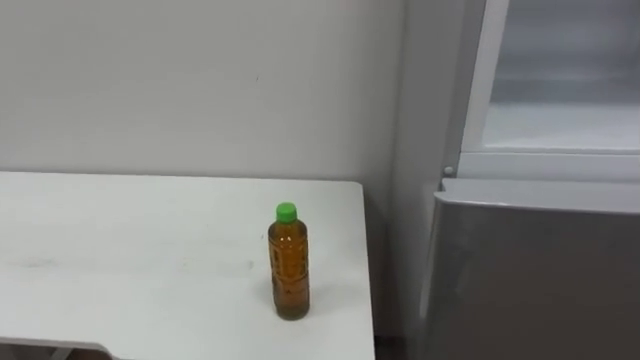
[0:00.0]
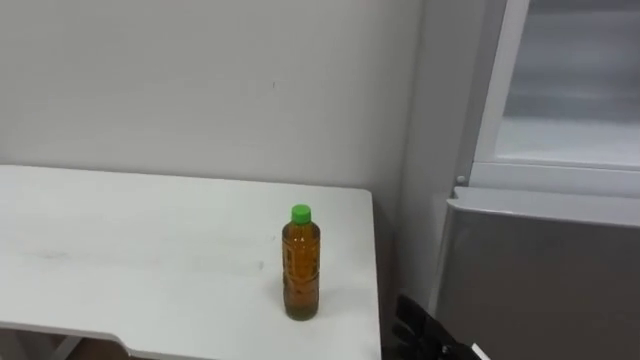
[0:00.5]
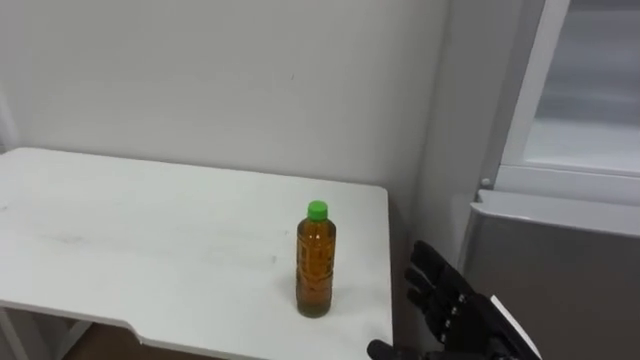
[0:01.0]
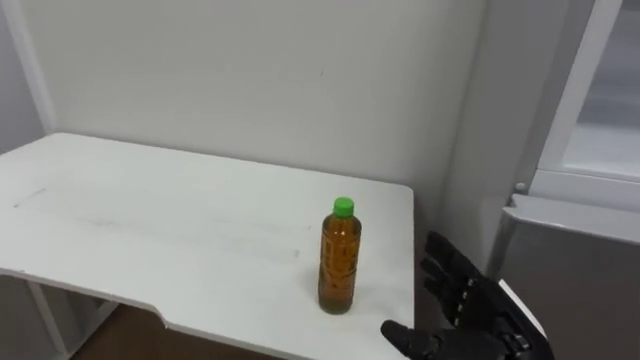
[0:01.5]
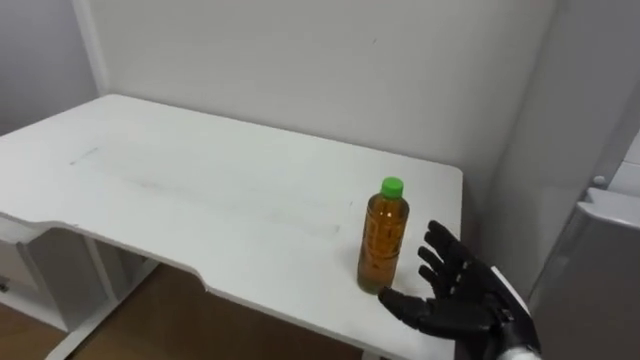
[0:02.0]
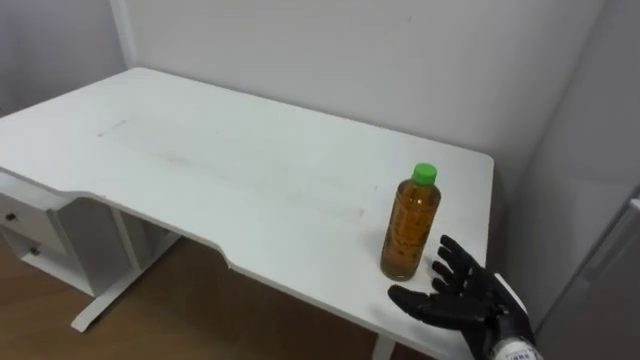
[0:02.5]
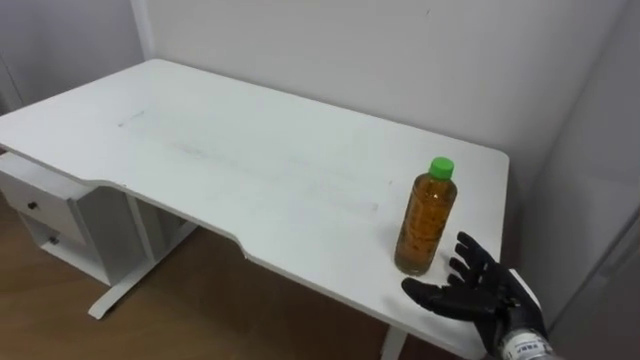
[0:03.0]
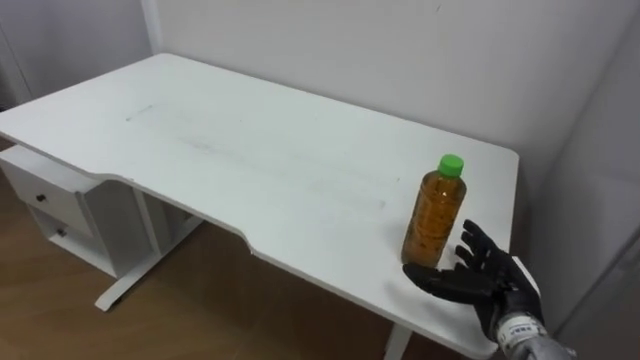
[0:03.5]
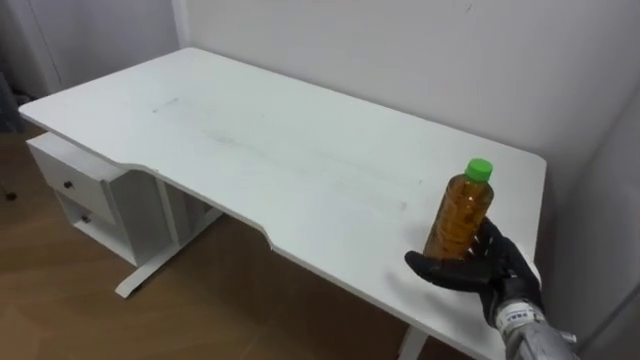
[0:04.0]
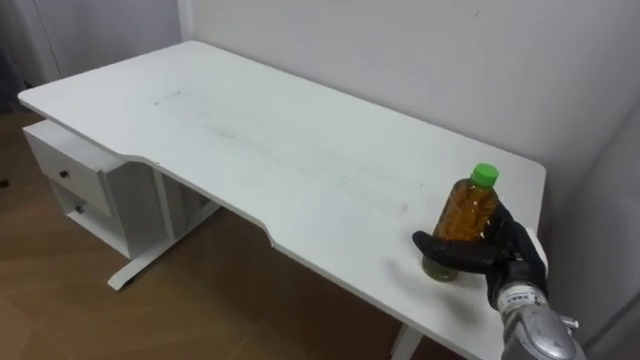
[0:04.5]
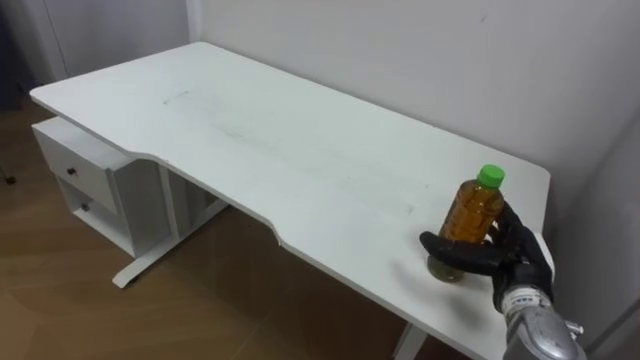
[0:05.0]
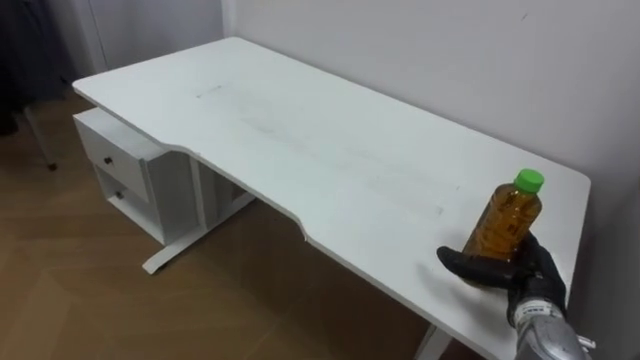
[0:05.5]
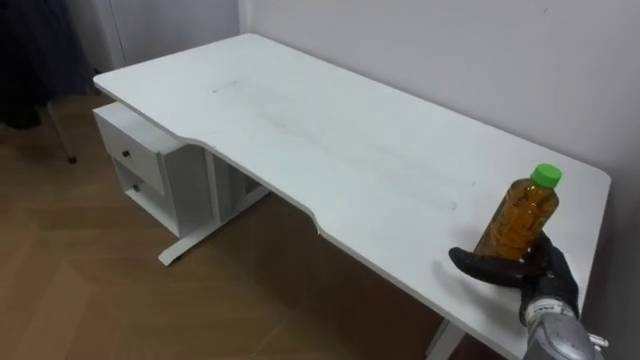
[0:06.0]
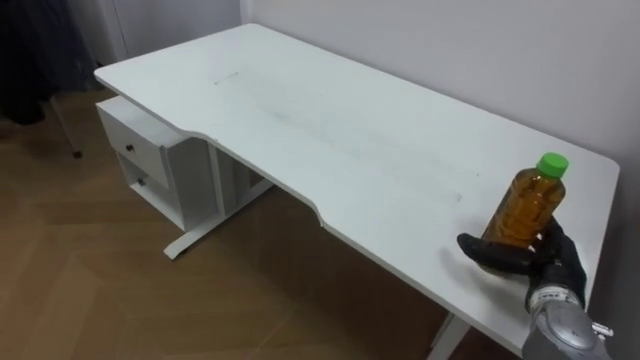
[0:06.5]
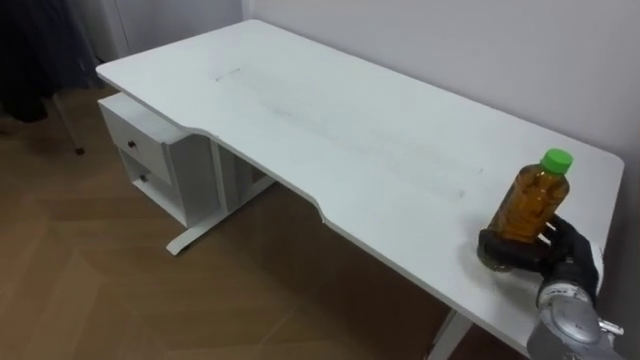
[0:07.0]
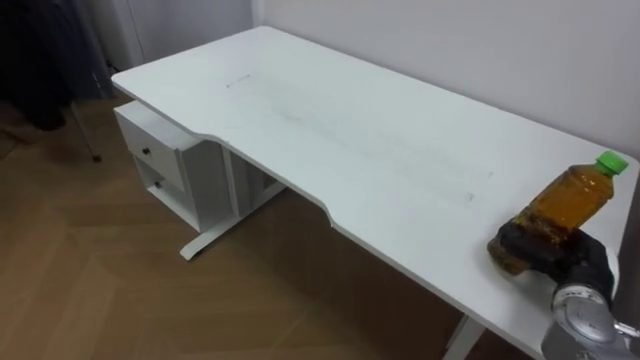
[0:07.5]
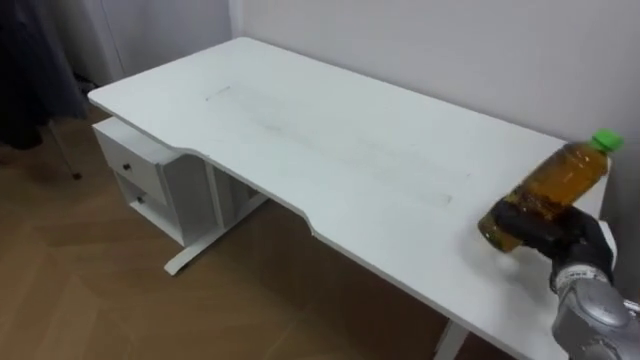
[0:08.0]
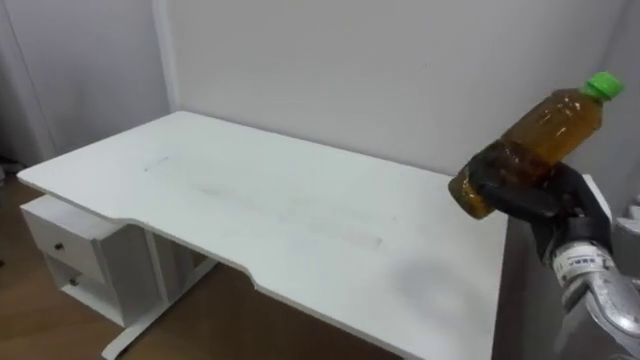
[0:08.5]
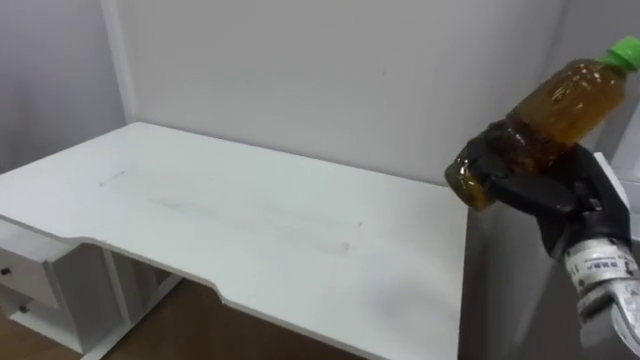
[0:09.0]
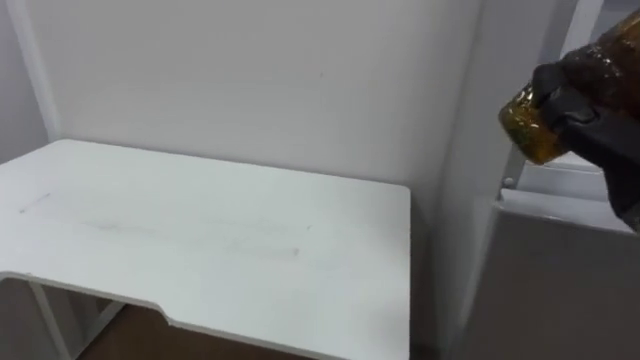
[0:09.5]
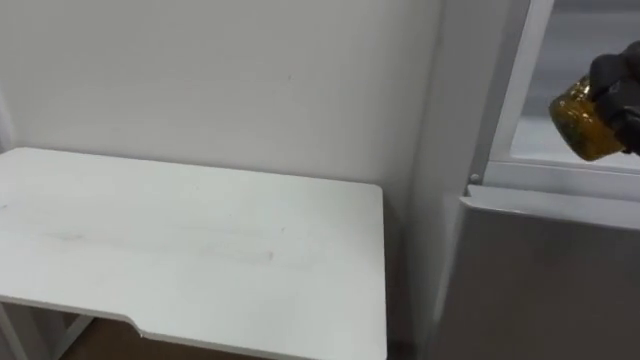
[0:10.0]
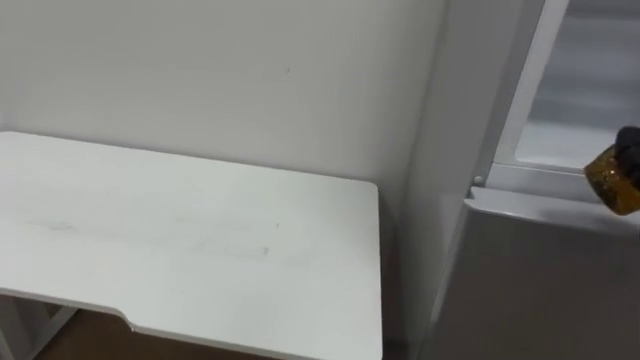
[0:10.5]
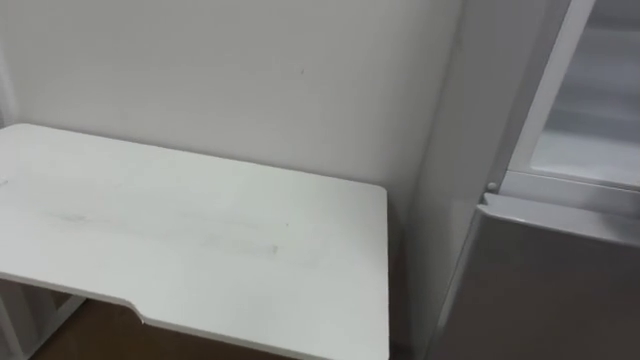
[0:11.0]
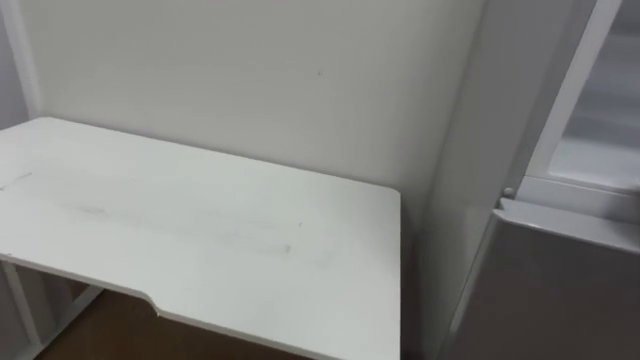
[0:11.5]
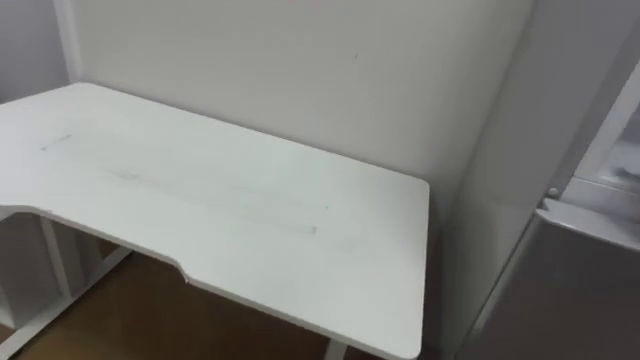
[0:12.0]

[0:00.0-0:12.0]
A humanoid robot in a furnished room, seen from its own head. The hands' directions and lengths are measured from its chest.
Task of the whole recording: Open the upper refrigerator door, put the drink from the table into the refrigerator, and then close the refrigerator door.
0:02.0 to 0:04.0: The right hand moves forward, about 5 cm.
0:04.0 to 0:06.0: The right hand travels to the right by roughly 5 cm.
0:06.0 to 0:08.0: The right hand changes place by some 5 cm, and closes up.

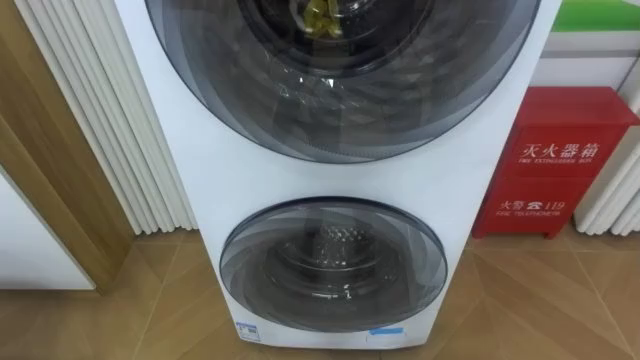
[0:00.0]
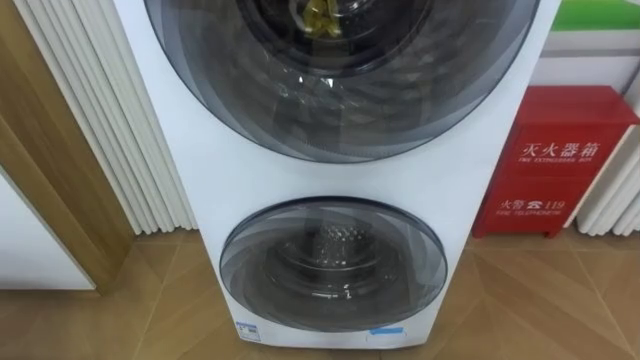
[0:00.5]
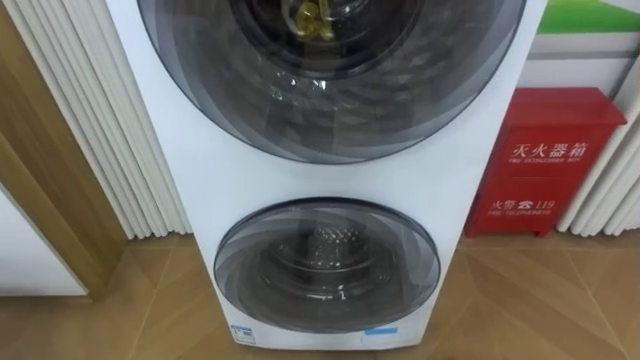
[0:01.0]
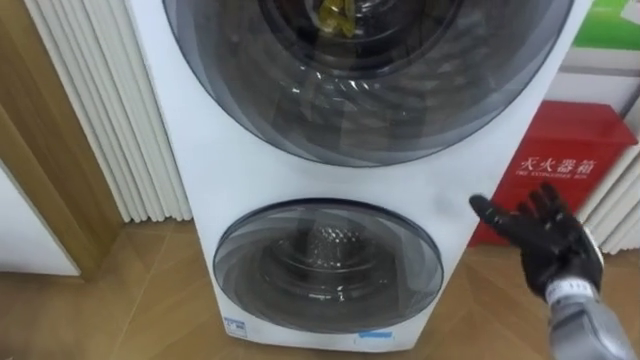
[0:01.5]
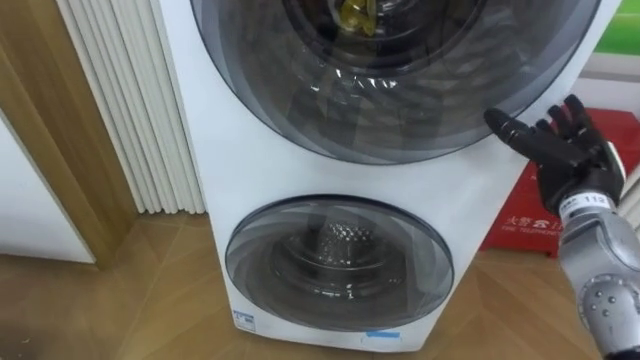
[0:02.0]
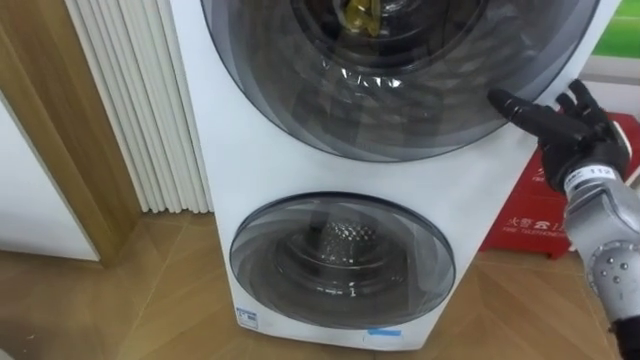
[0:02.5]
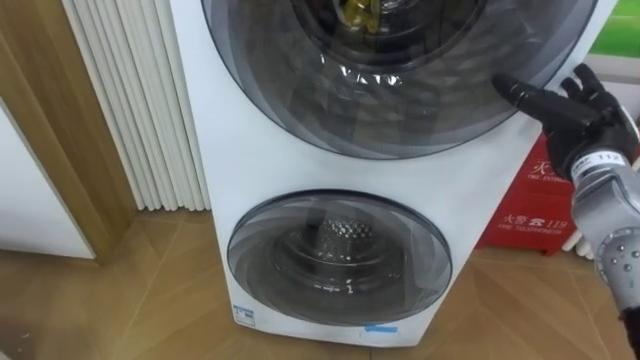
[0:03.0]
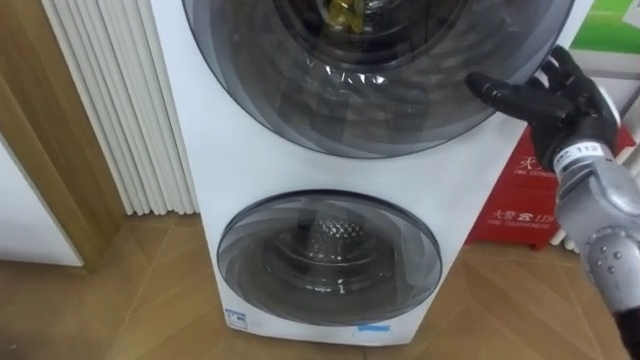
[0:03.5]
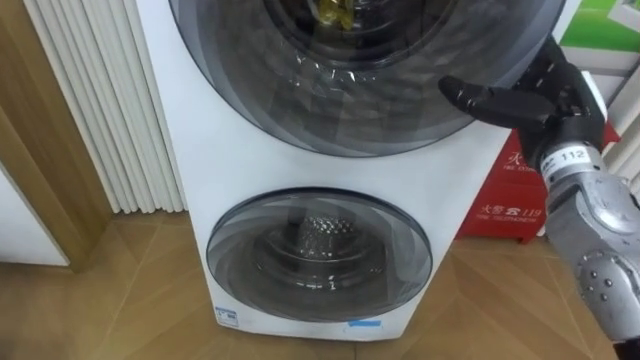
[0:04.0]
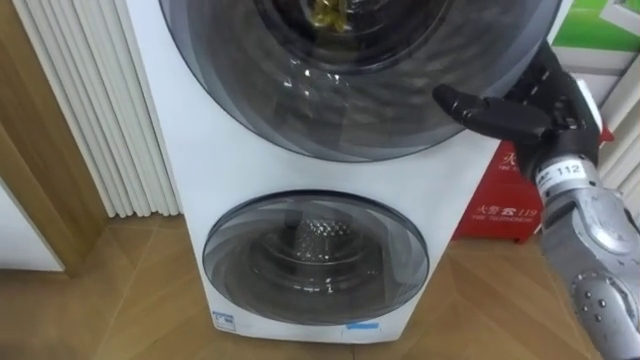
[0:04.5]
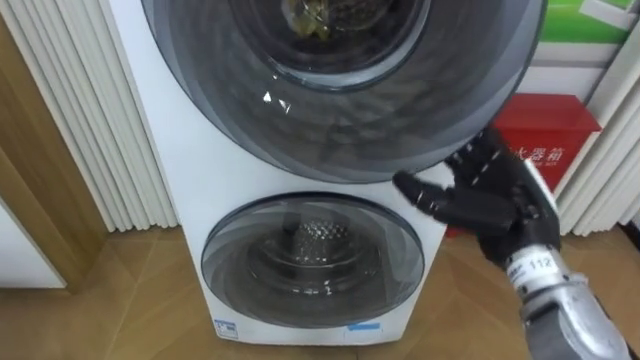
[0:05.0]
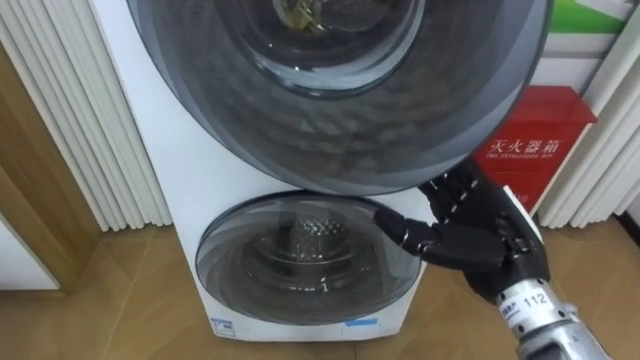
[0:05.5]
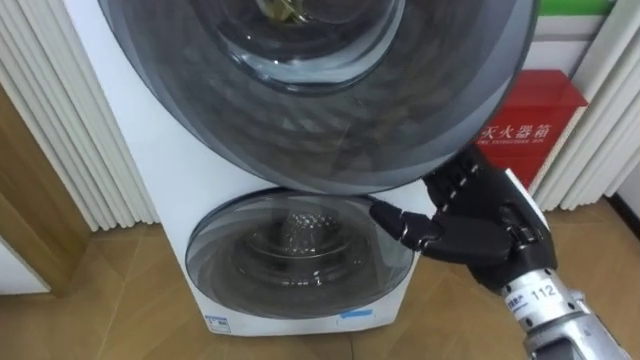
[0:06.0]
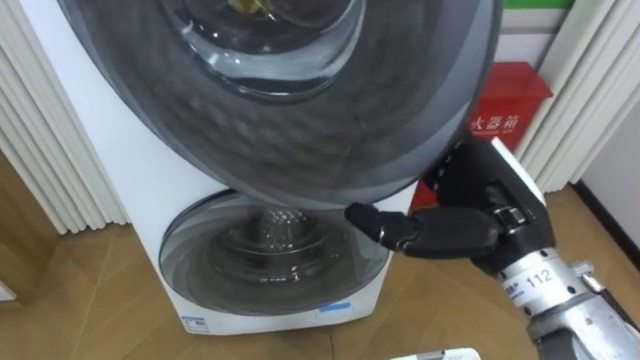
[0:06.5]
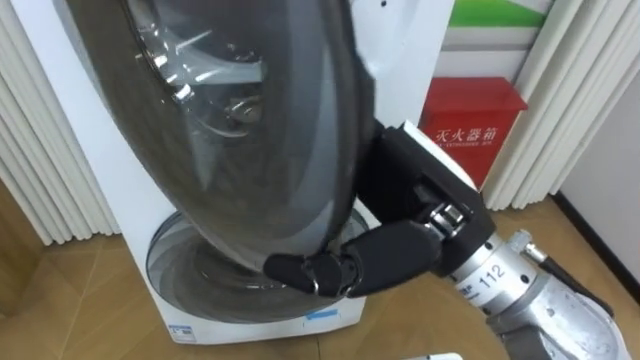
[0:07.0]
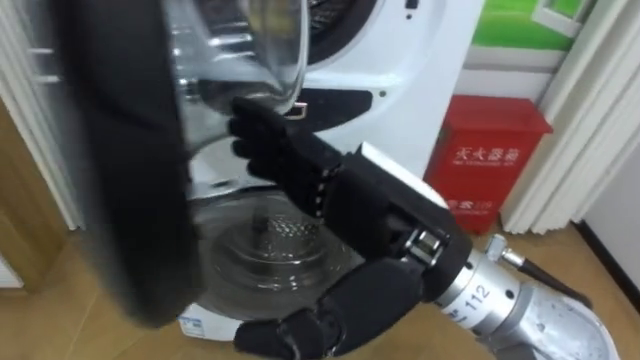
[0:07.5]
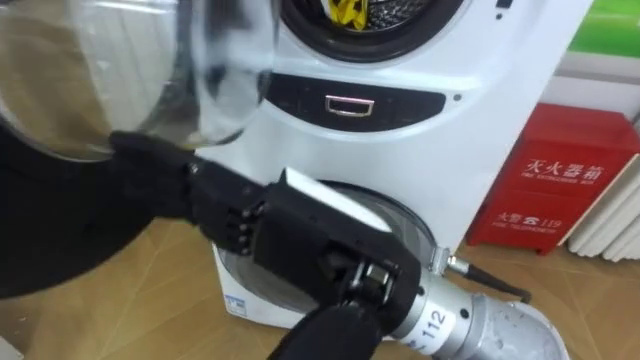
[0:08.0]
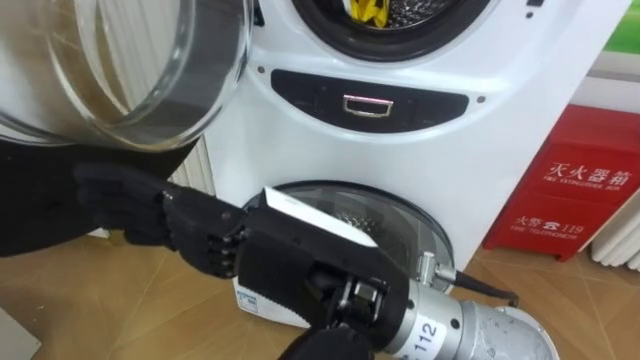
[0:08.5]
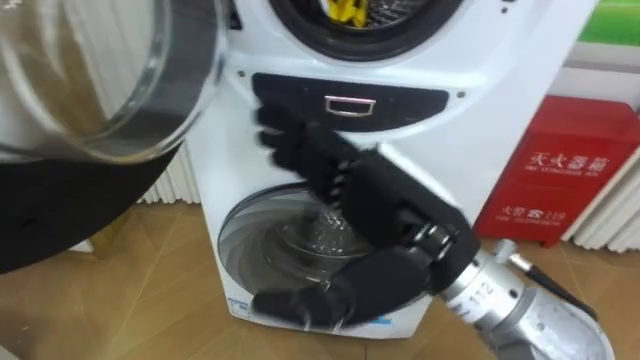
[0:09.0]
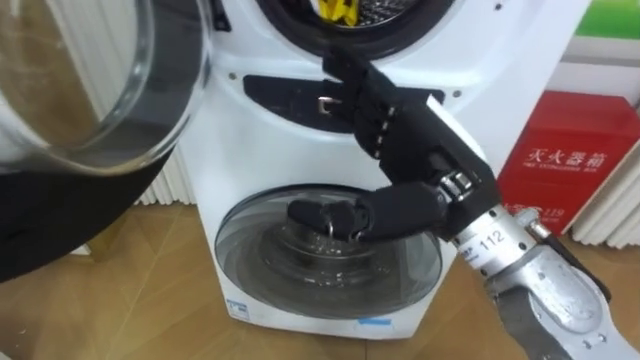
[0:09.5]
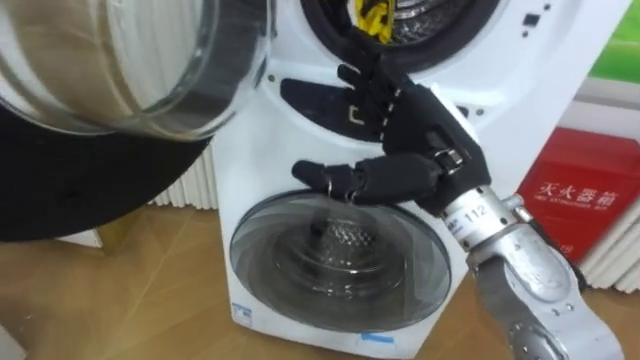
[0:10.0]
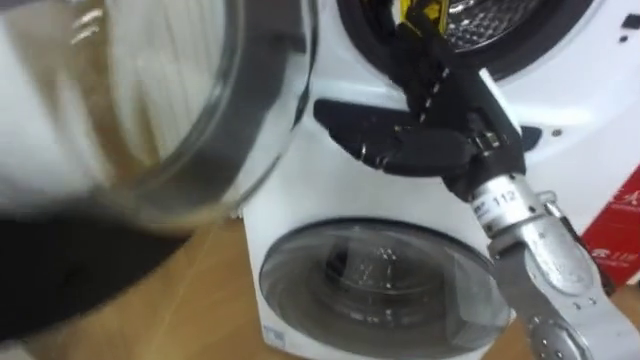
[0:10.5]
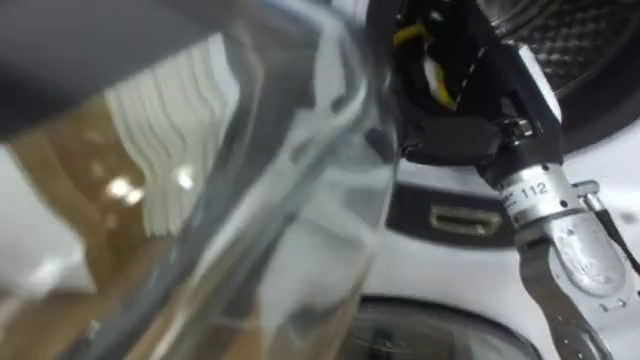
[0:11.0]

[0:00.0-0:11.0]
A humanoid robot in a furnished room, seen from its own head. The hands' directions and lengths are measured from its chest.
Task of the whole recording: Open the washing machine door, take out the yellow clothes, place them in the box on the right, and close the washing machine door.
0:02.0 to 0:03.5: The right hand goes roughly 5 cm upward.
0:03.5 to 0:05.5: The right hand is displaced backward, to the left and downward by roughly 15 cm.
0:05.5 to 0:07.5: The right hand moves to the left, upward and backward, some 15 cm.
0:09.0 to 0:11.0: The right hand goes approximately 15 cm to the right and forward.
